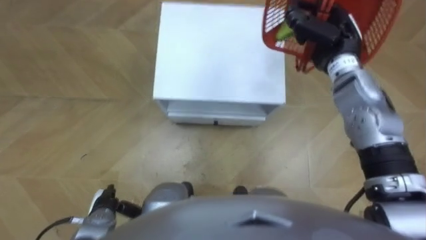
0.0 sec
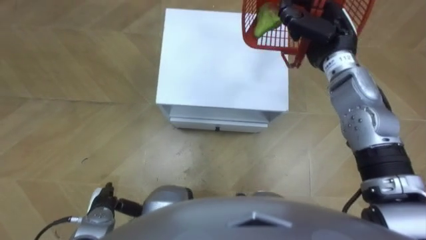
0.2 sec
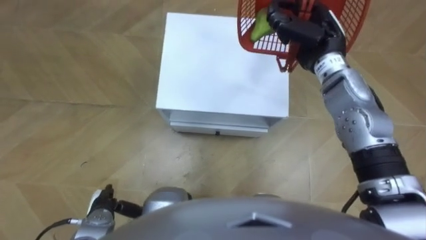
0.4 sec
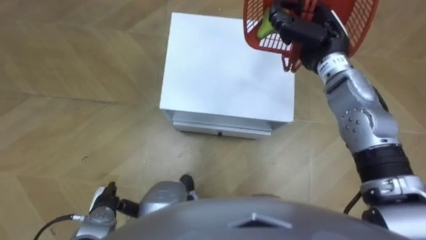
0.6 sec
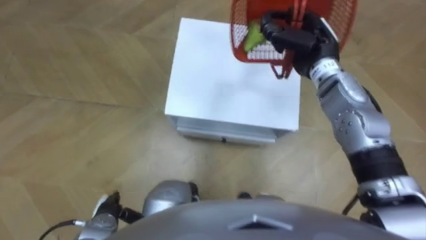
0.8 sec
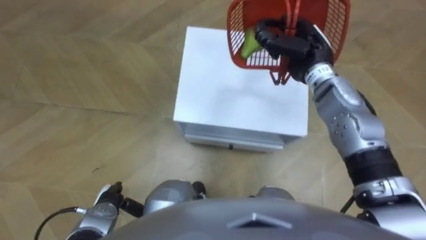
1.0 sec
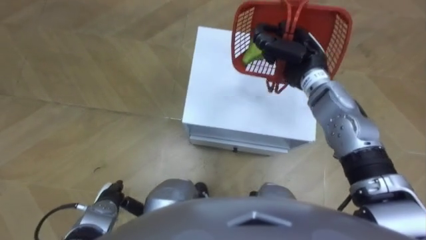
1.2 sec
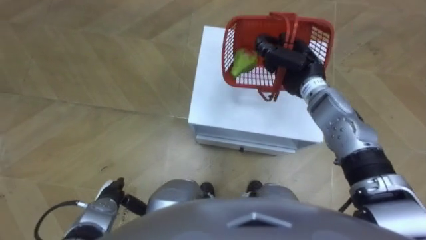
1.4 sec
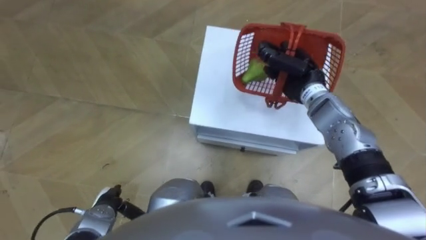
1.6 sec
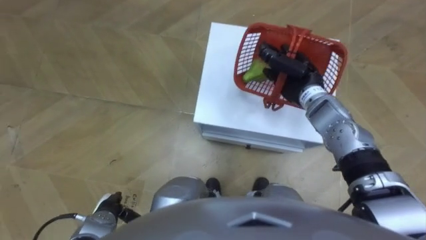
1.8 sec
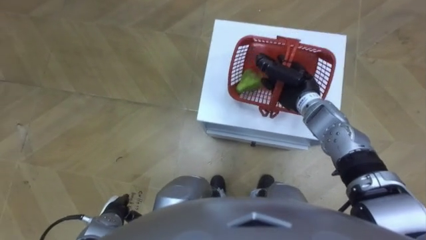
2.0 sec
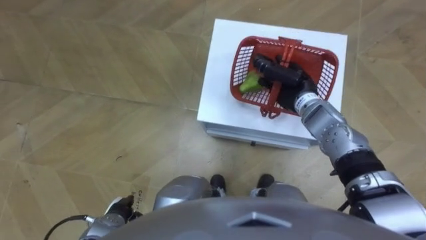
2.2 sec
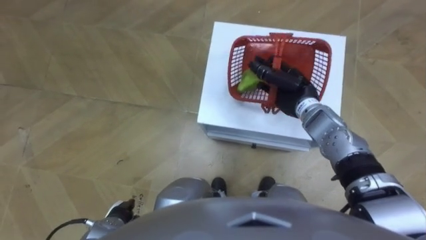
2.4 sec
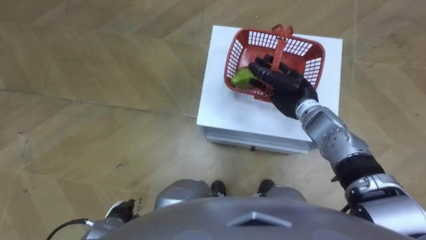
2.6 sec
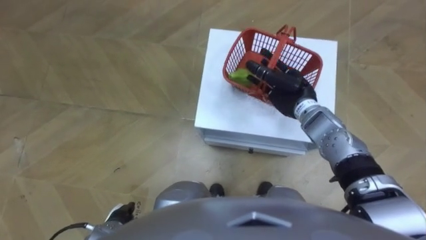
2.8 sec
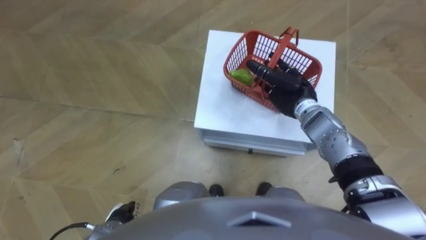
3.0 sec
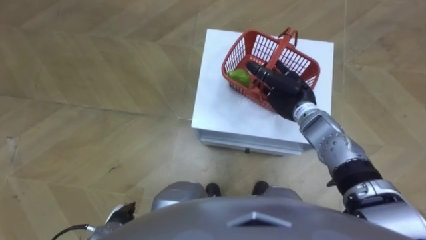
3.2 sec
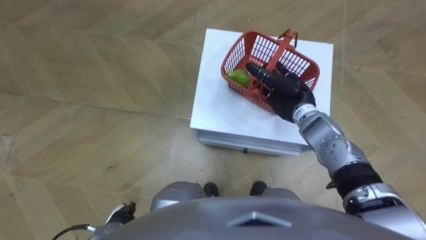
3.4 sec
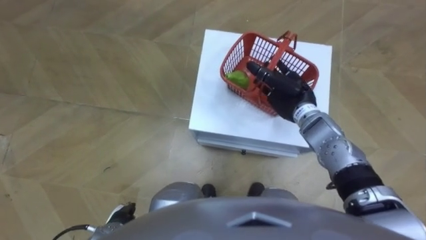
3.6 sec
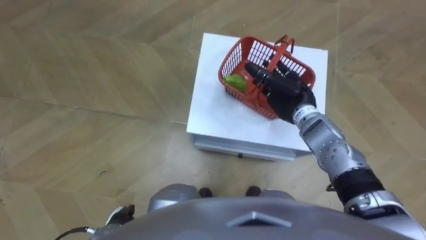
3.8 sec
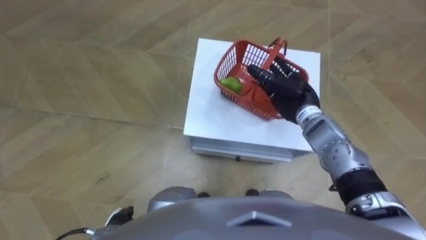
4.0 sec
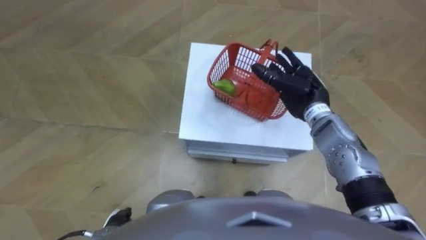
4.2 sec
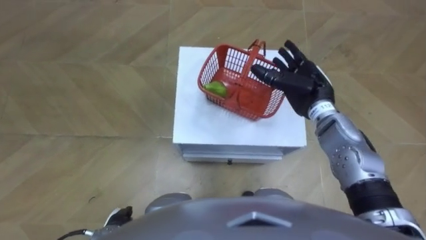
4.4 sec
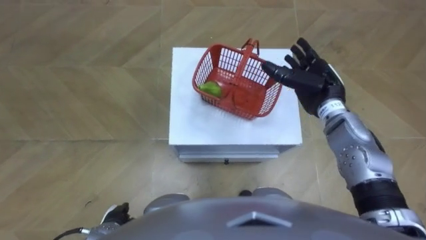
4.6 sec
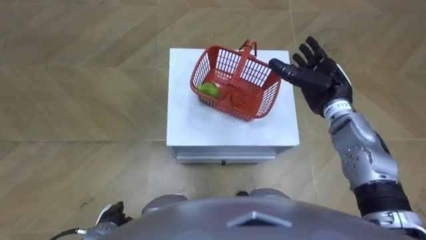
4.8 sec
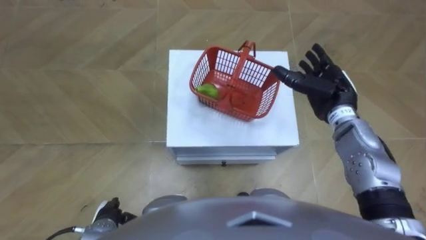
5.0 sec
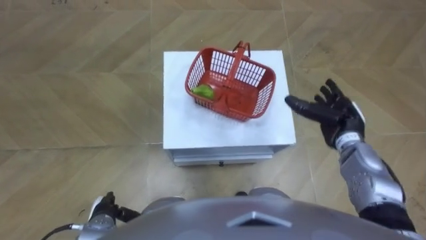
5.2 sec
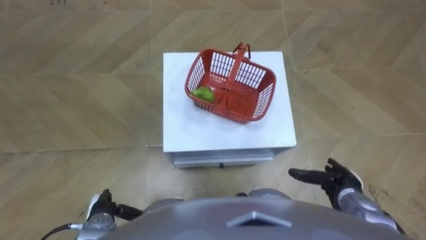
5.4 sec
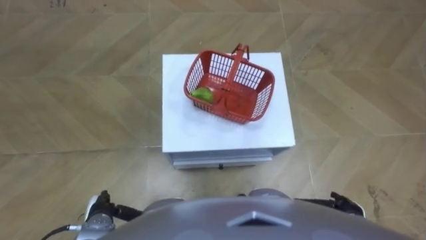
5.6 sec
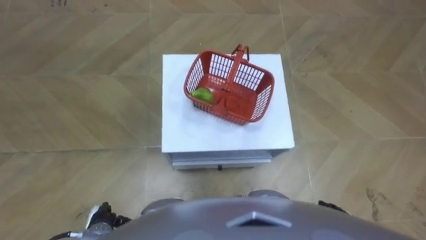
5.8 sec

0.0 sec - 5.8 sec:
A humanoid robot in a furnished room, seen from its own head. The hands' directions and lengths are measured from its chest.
Task of the whole recording: Pick up the fruit basket from the floor and place it on the cabinet.
0.0 sec - 1.4 sec: The right hand travels downward by some 5 cm.
1.4 sec - 2.8 sec: The left hand travels backward by roughly 5 cm; the right hand shifts approximately 5 cm downward, and opens.
4.4 sec - 5.8 sec: The right hand travels backward and downward by roughly 30 cm.

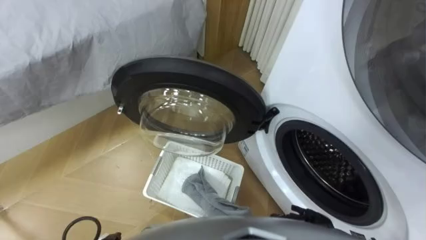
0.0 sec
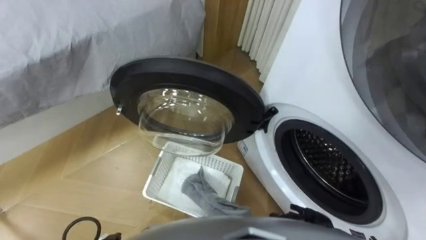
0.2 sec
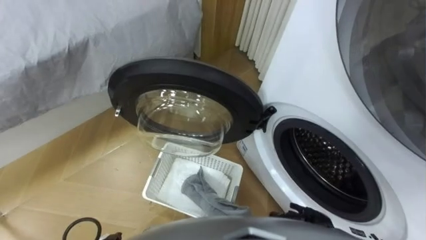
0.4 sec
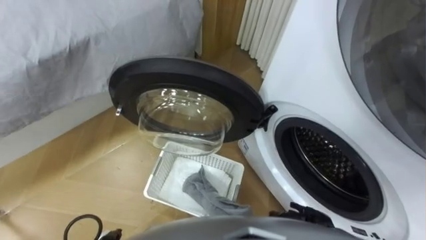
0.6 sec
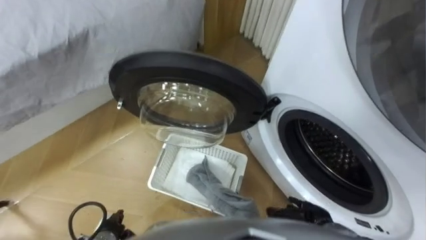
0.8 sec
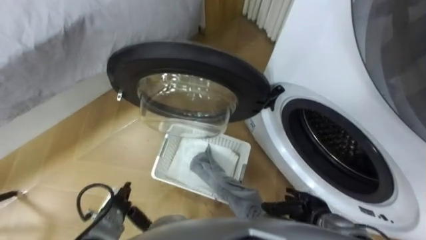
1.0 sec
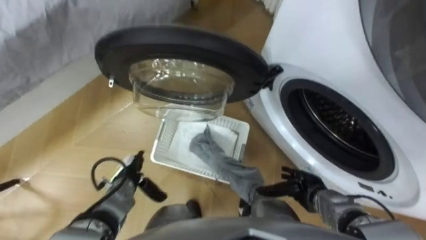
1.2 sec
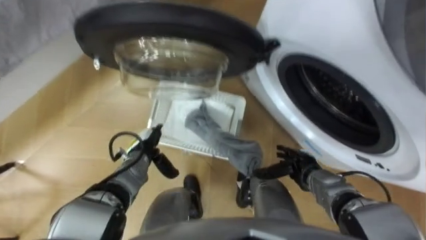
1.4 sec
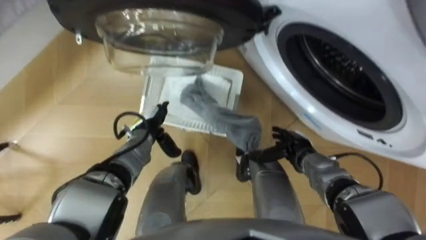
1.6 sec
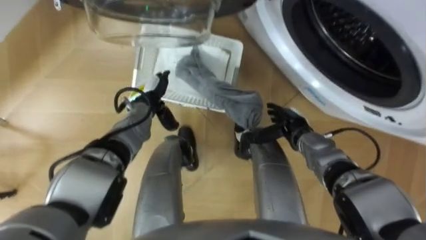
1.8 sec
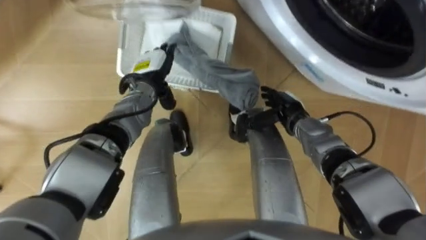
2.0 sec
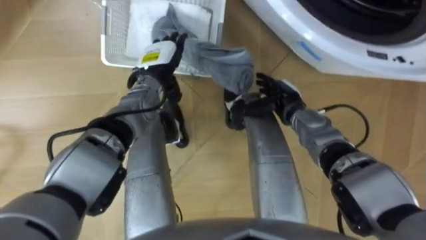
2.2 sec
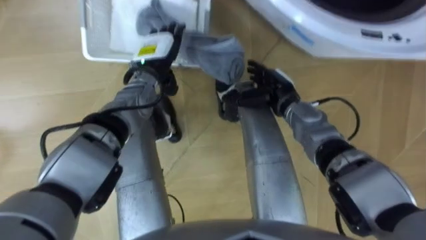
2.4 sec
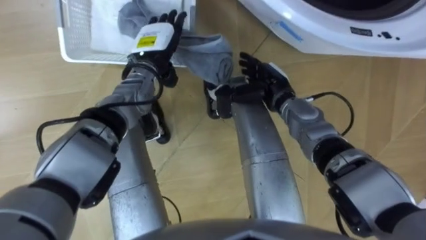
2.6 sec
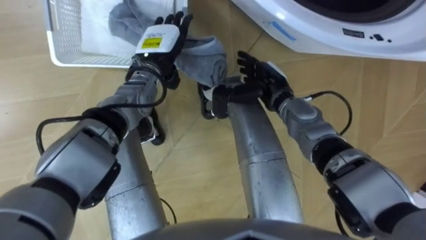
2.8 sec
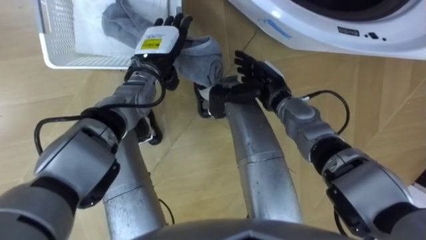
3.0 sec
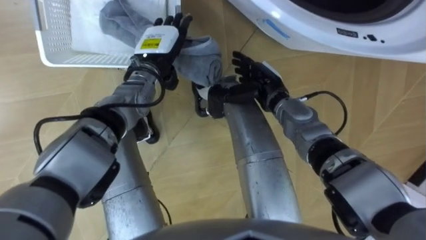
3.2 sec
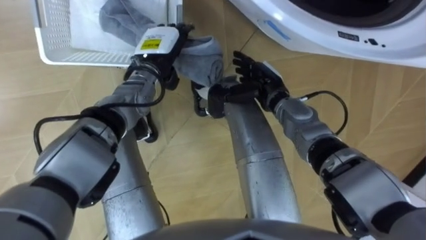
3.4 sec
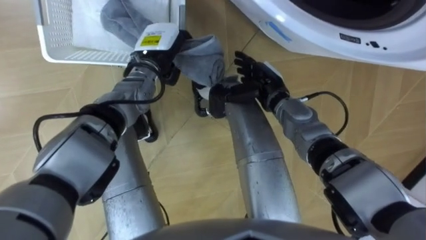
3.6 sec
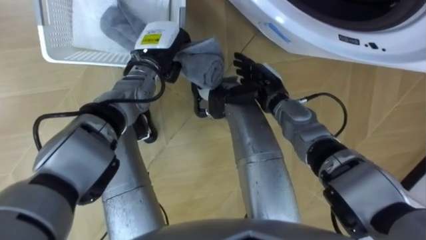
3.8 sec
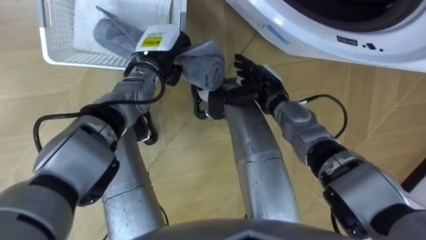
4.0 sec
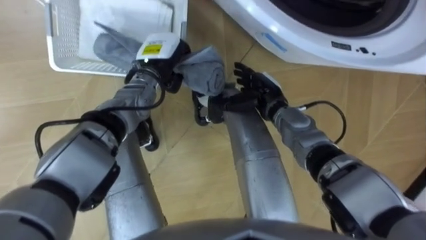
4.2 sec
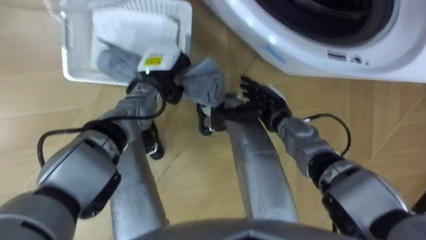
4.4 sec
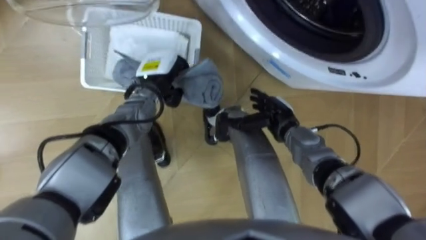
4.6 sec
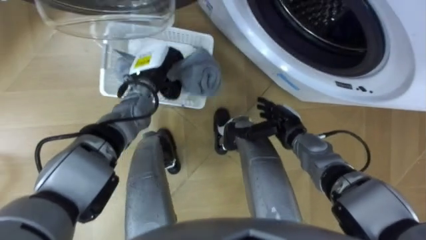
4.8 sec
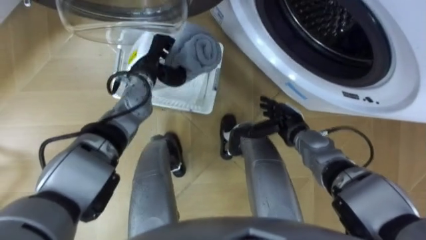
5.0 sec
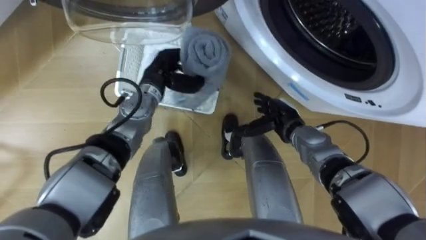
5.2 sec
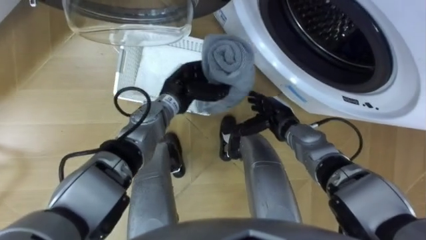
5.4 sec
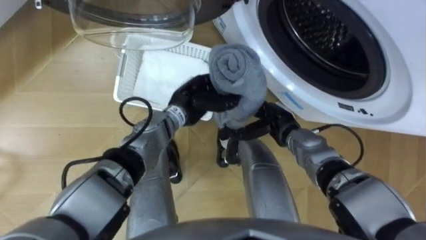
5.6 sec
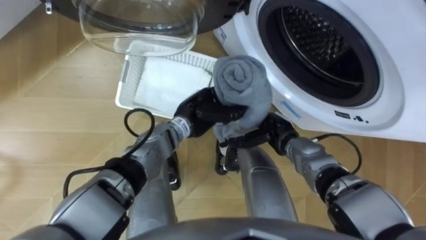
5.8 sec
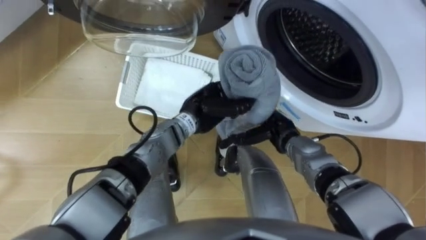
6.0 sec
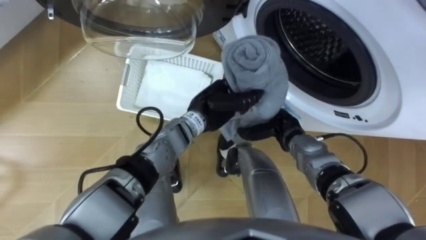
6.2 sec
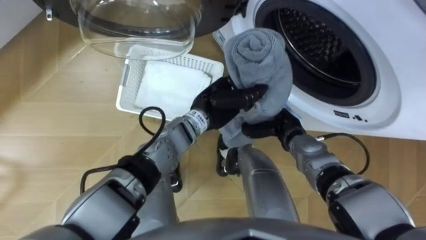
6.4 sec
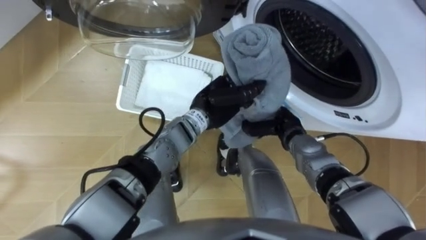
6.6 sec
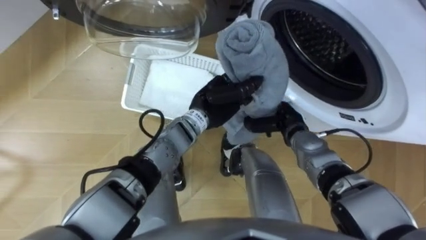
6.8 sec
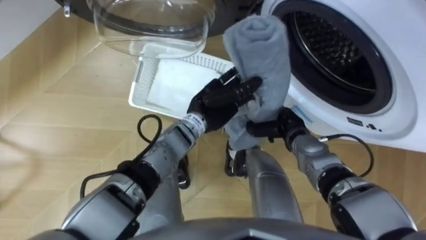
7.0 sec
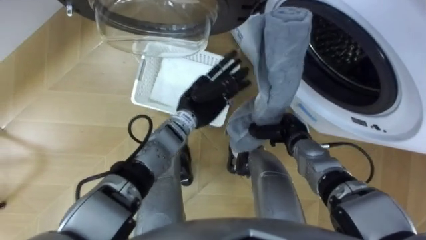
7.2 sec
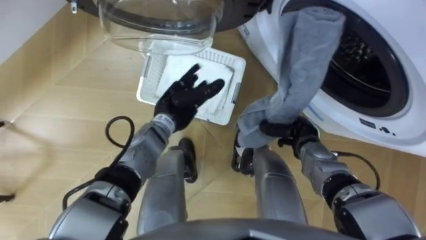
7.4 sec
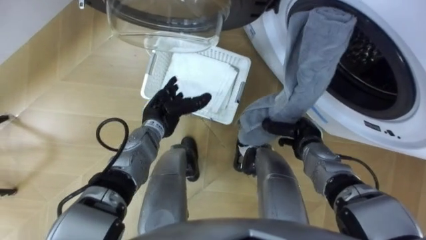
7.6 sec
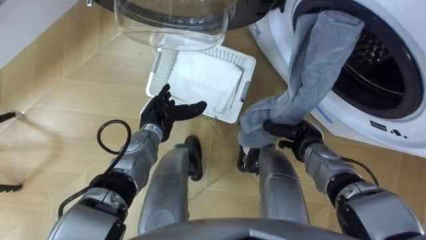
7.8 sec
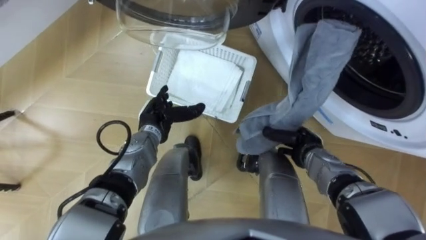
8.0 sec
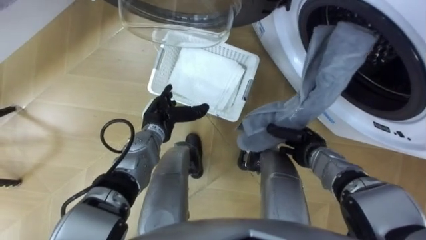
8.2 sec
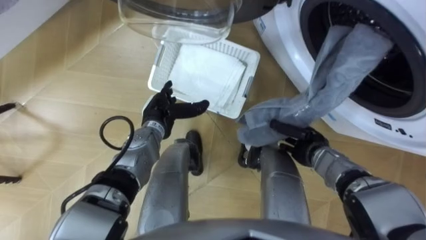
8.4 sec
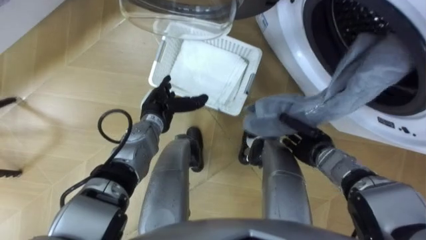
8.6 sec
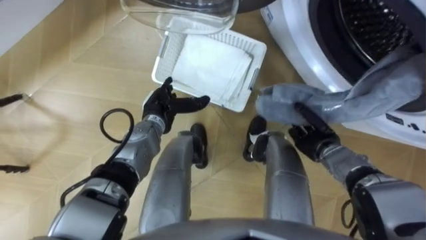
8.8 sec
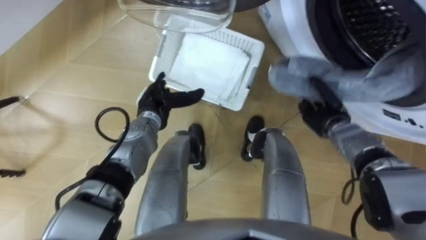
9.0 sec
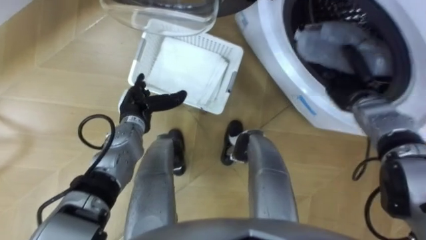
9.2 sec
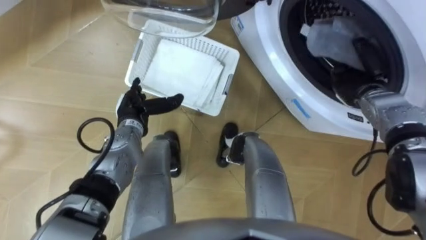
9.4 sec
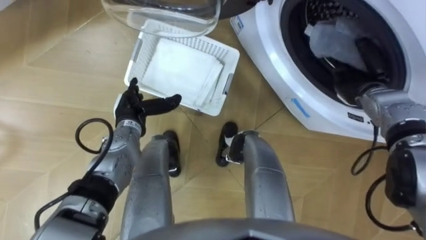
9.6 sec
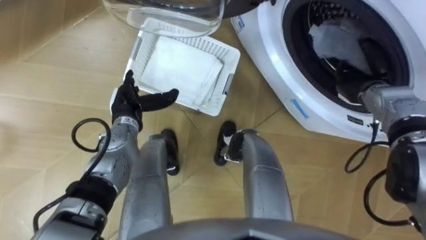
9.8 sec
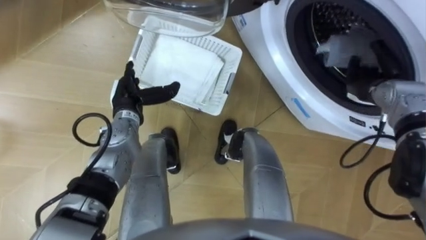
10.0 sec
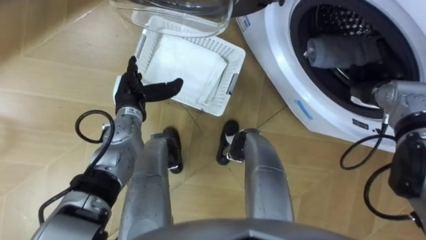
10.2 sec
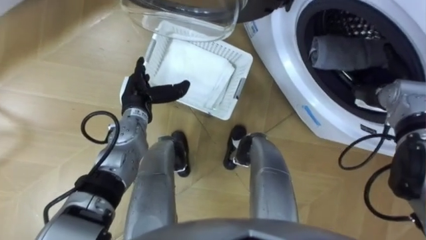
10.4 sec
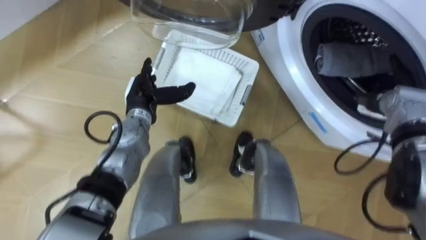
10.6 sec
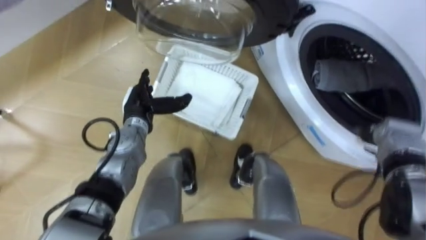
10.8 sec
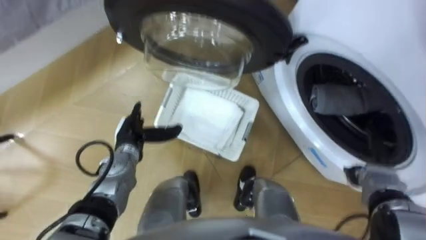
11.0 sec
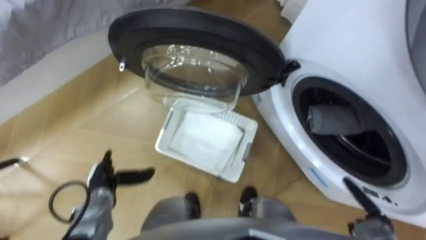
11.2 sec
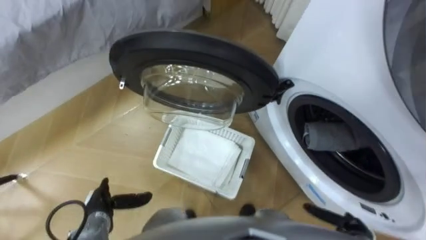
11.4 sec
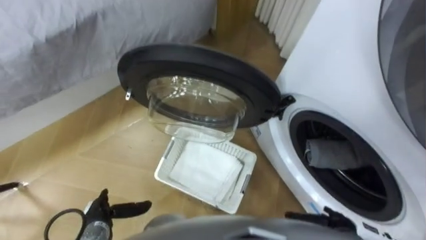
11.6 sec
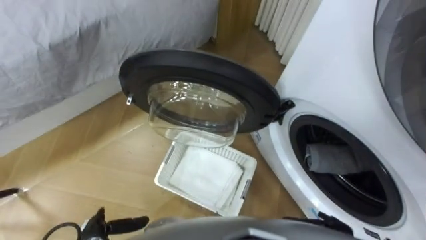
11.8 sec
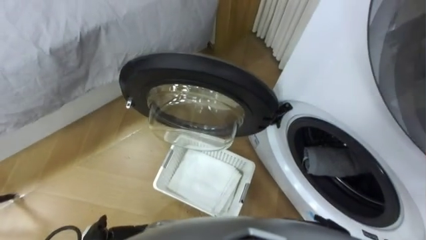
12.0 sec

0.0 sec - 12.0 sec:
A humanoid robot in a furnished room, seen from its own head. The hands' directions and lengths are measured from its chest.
Task of the whole recording: Take the towel from the basket and put it into the washing machine.
1.6 sec - 3.0 sec: The left hand shifts roughly 15 cm upward and forward; the right hand moves forward, upward and to the left, some 20 cm.
3.0 sec - 4.4 sec: The right hand changes place by approximately 5 cm, while the left hand closes.
4.4 sec - 6.0 sec: The right hand shifts by some 5 cm, while the left hand goes roughly 10 cm to the right and backward.
6.0 sec - 7.6 sec: The right hand moves to the right, about 5 cm, and closes up; the left hand moves to the left, some 10 cm, and opens its fingers.
7.6 sec - 9.0 sec: The right hand goes roughly 5 cm to the right.
9.0 sec - 10.4 sec: The right hand is displaced to the right and upward by about 10 cm, and opens its fingers.
10.4 sec - 12.0 sec: The right hand goes approximately 35 cm backward and downward.
